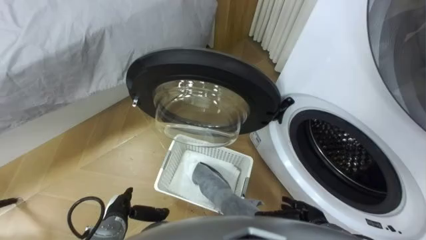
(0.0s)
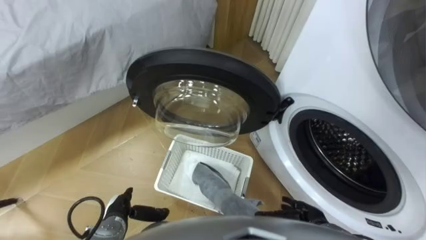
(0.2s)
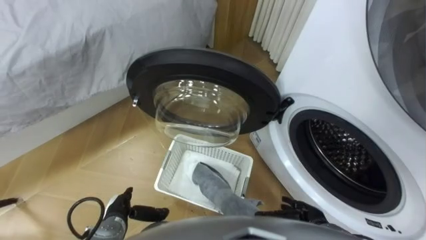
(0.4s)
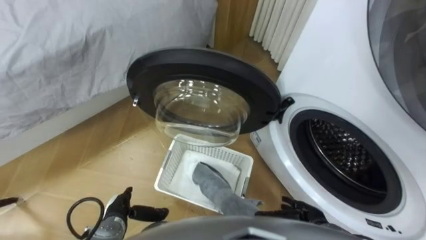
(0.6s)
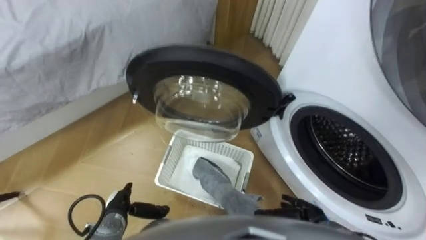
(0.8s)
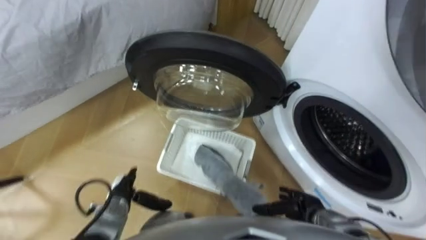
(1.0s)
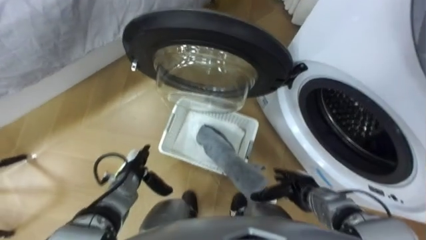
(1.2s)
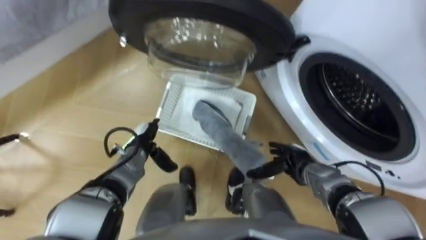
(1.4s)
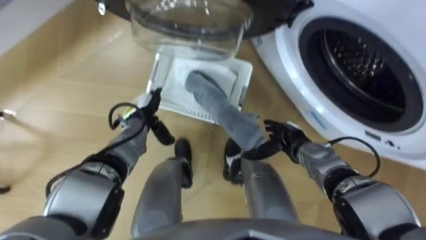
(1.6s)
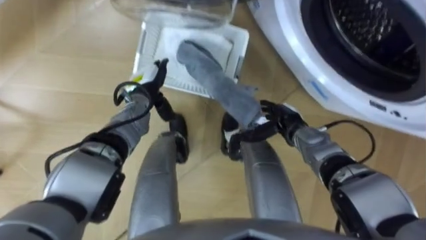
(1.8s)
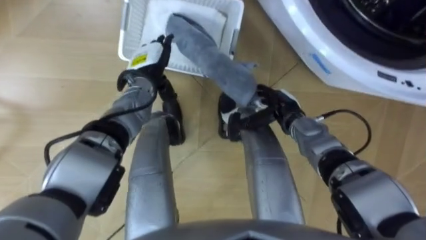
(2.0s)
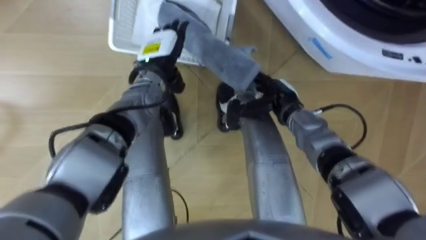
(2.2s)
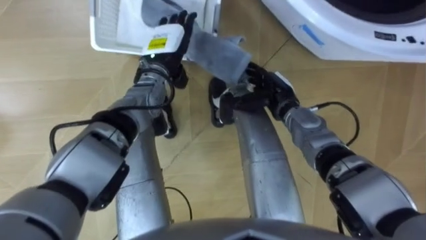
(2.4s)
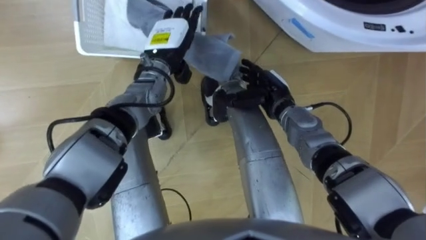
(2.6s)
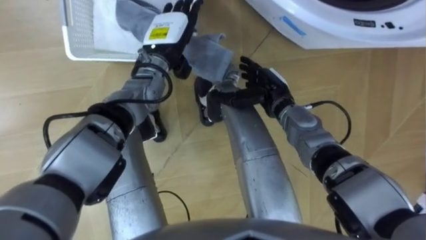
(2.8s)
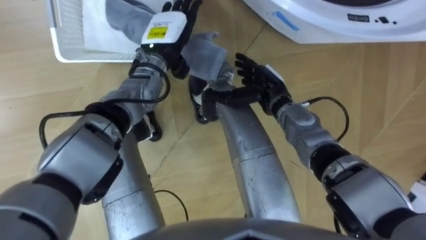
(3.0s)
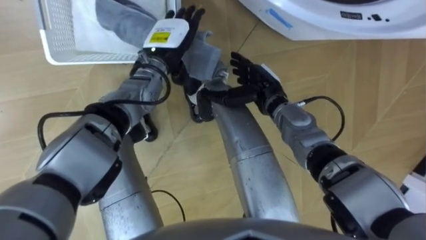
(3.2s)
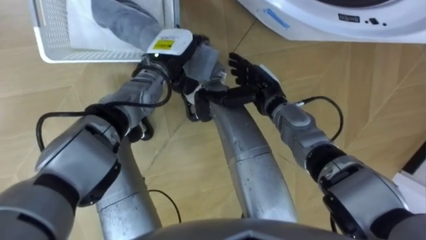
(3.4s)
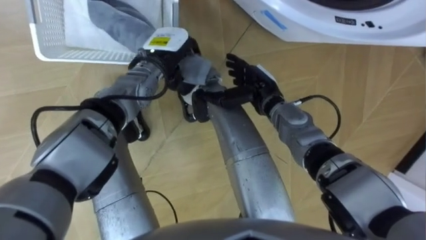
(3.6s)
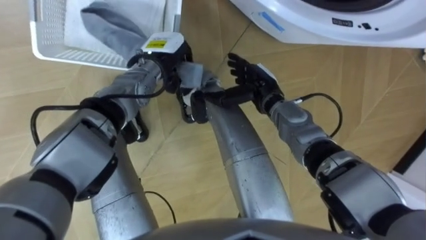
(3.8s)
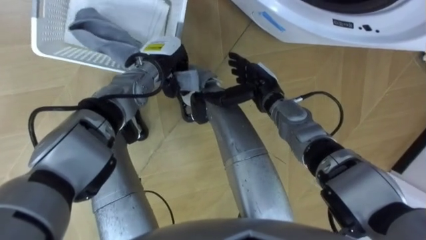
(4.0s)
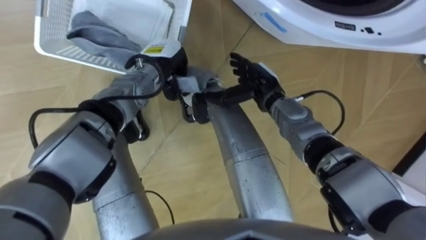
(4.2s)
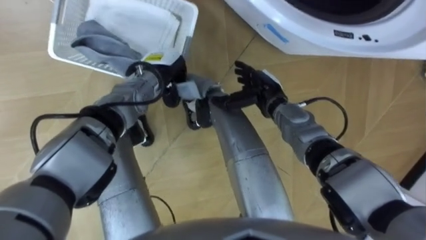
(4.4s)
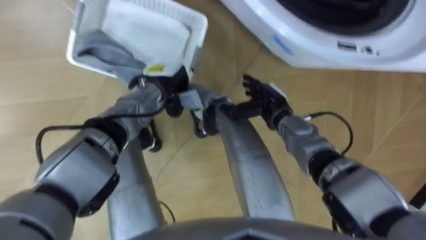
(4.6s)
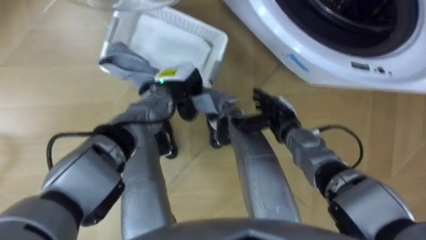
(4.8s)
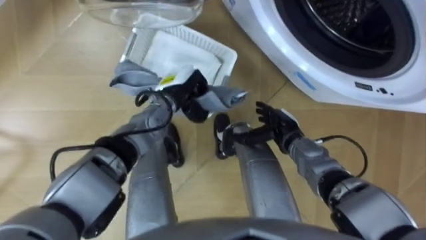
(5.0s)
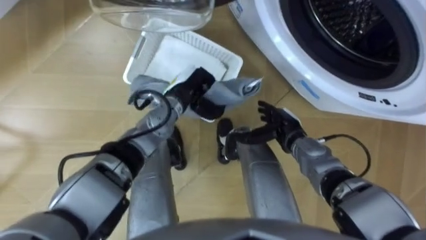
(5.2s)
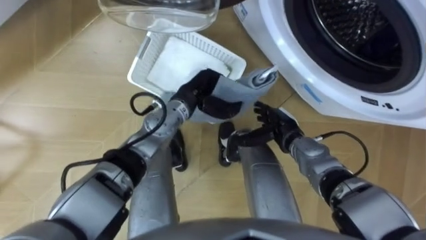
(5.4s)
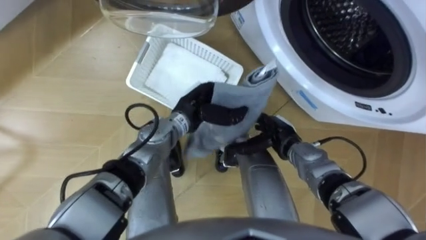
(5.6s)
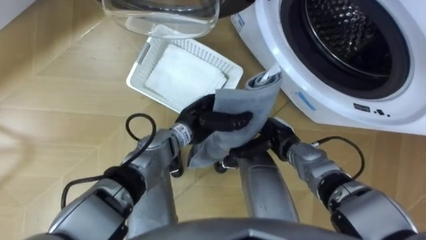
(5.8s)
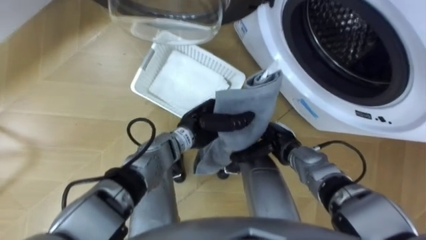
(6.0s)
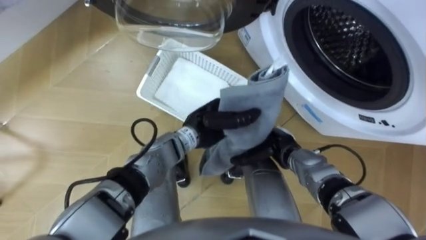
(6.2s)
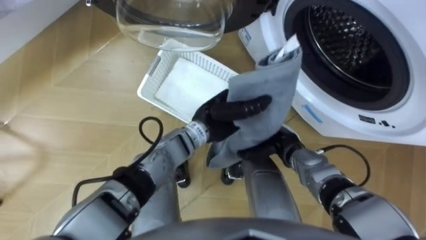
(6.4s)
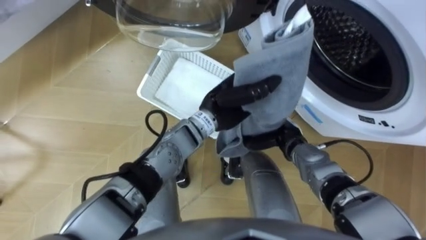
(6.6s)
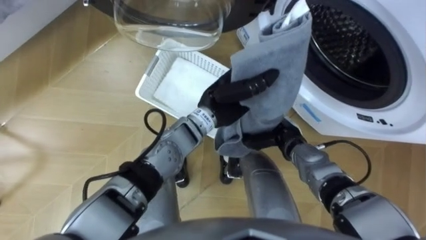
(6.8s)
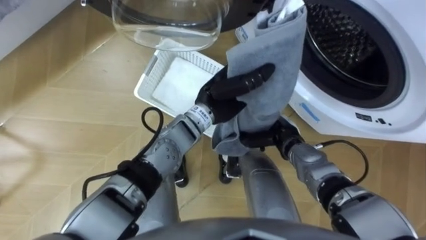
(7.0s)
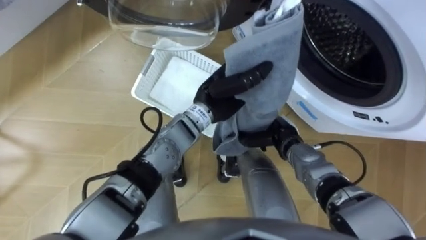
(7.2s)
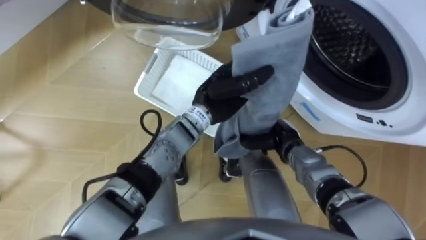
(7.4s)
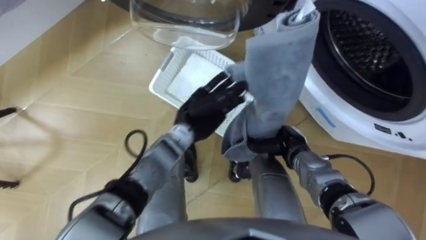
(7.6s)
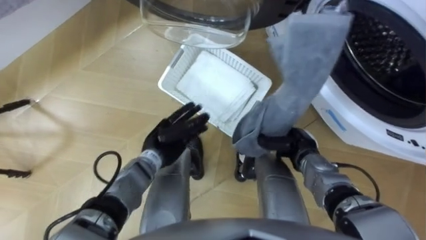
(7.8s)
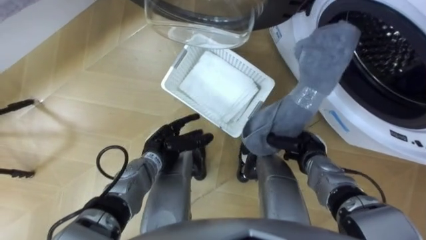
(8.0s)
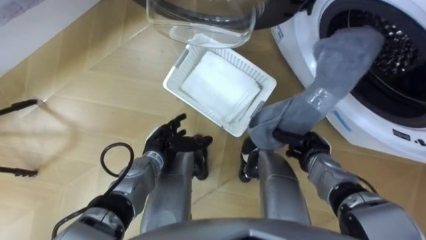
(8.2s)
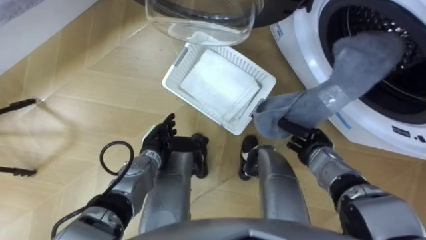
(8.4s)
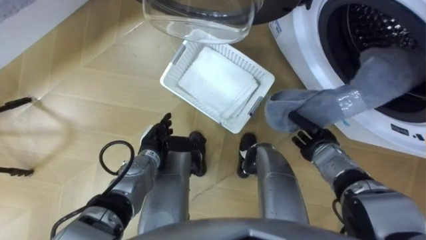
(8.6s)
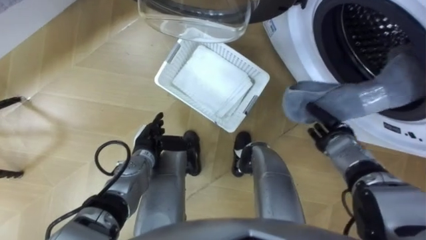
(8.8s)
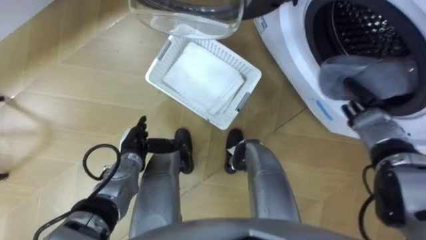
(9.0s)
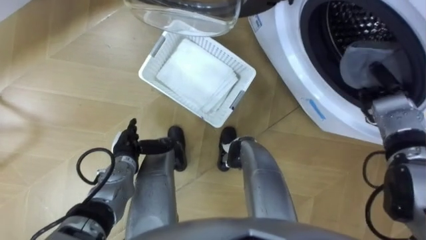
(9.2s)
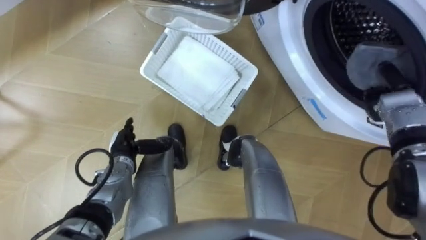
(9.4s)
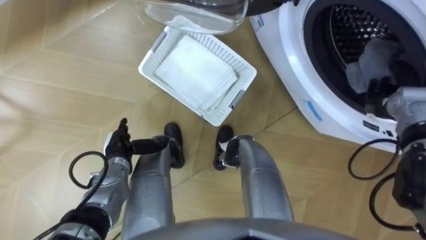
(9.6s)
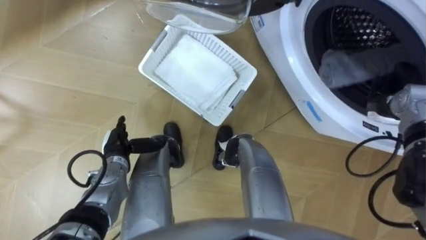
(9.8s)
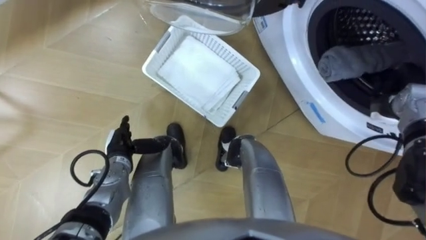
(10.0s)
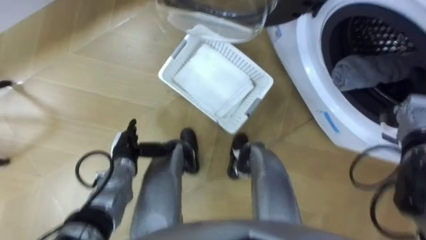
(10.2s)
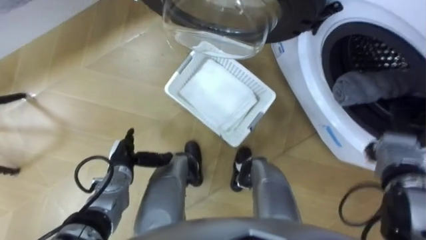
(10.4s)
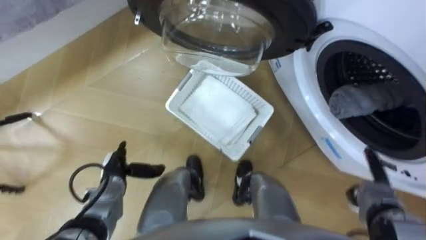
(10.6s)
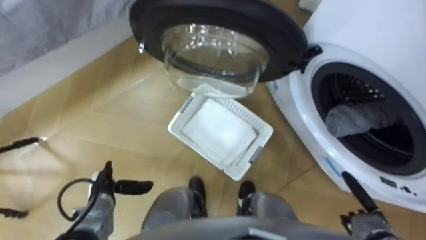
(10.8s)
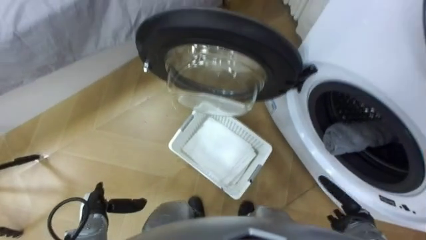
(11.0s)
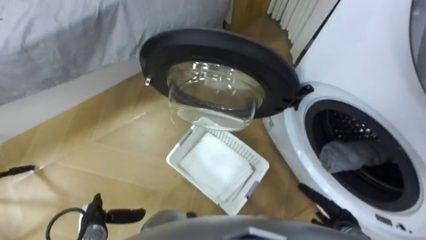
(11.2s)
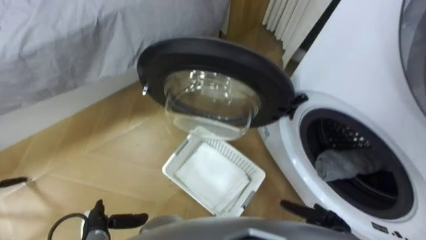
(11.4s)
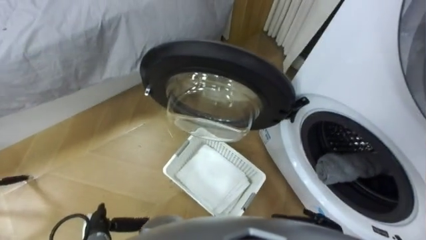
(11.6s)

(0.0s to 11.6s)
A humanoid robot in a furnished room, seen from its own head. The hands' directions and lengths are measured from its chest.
Task of the whole recording: Take the towel from the basket and put it into the washing machine.
1.4s - 2.8s: The right hand moves forward, upward and to the left, roughly 20 cm, while the left hand heads upward, forward and to the right, covering some 25 cm.
2.8s - 4.4s: The left hand goes some 5 cm downward, and closes up.
4.4s - 5.8s: The left hand shifts about 15 cm backward and to the right. The right hand goes approximately 10 cm backward and downward.
5.8s - 7.2s: The left hand heads upward, covering approximately 5 cm. Meanwhile the right hand closes.
7.2s - 8.8s: The right hand shifts some 15 cm to the right. Meanwhile the left hand heads to the left and downward, covering roughly 20 cm, and opens its fingers.
8.8s - 10.2s: The left hand is displaced to the left by about 5 cm, while the right hand heads to the right and upward, covering some 15 cm, and opens up.
10.2s - 11.6s: The left hand shifts approximately 15 cm backward, while the right hand heads backward, downward and to the left, covering approximately 30 cm.

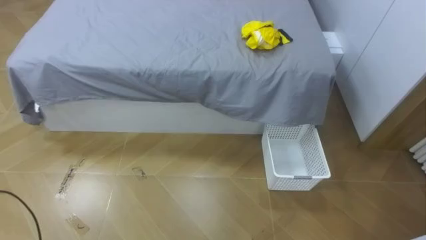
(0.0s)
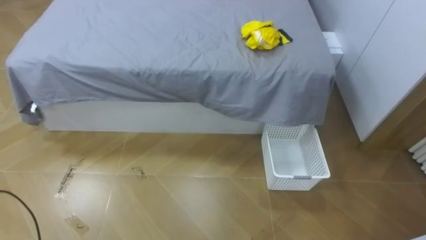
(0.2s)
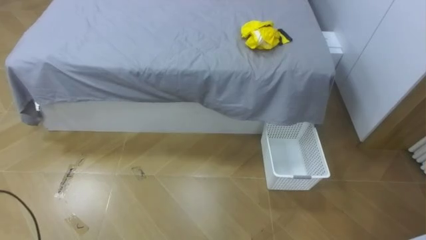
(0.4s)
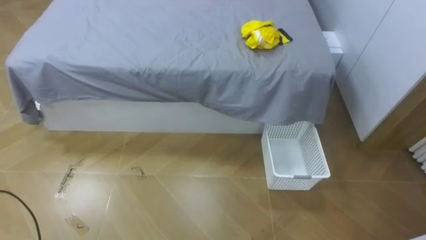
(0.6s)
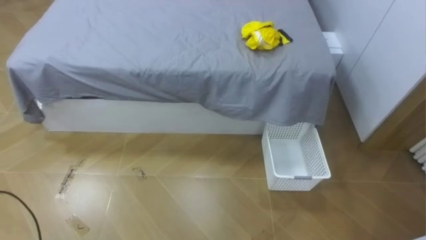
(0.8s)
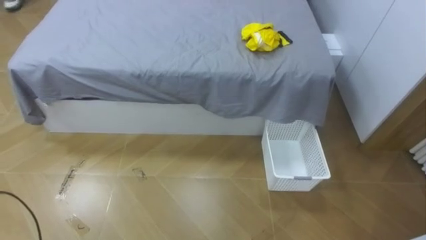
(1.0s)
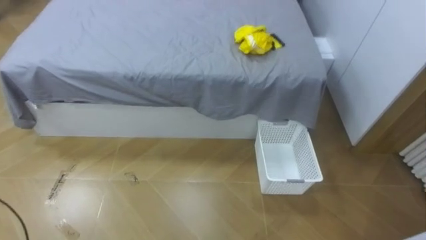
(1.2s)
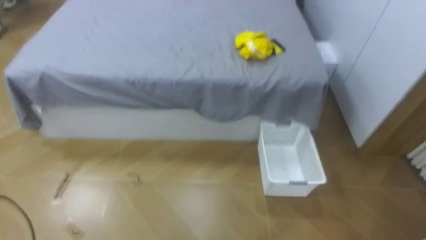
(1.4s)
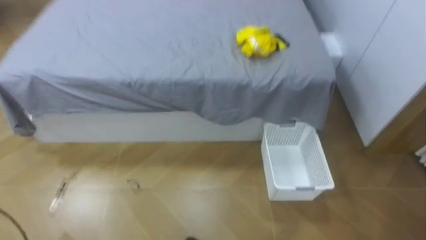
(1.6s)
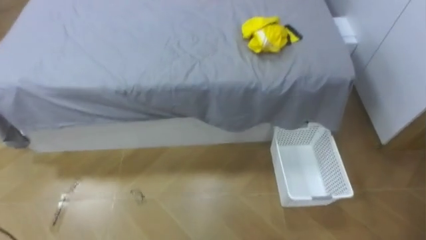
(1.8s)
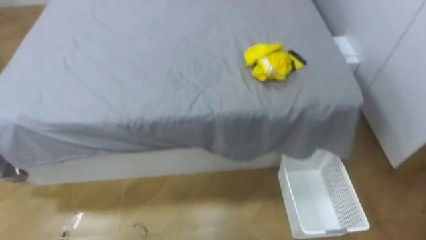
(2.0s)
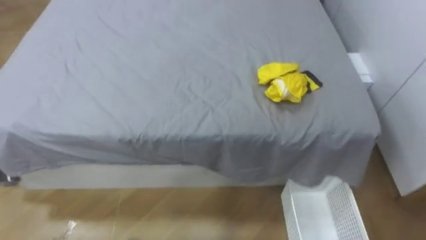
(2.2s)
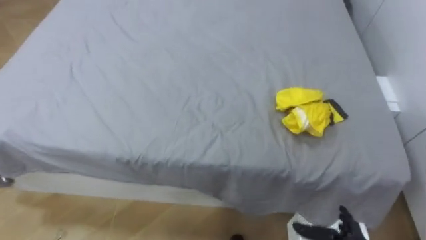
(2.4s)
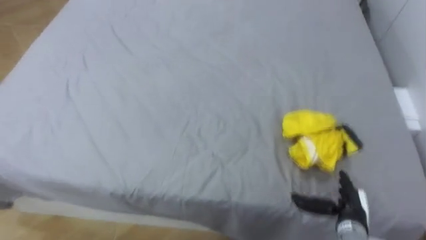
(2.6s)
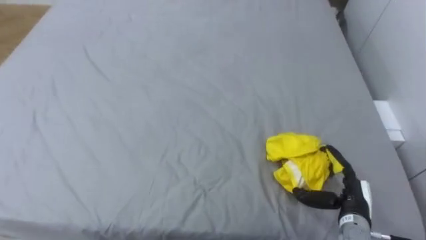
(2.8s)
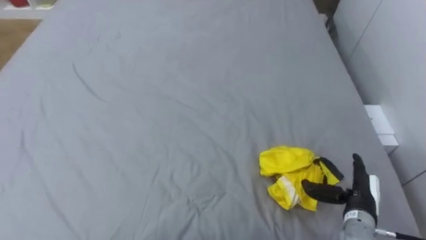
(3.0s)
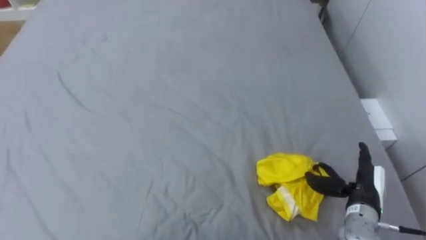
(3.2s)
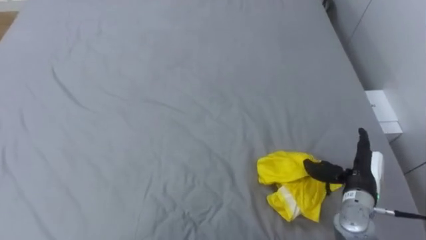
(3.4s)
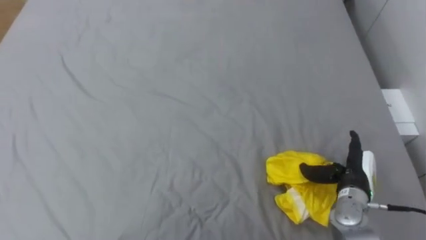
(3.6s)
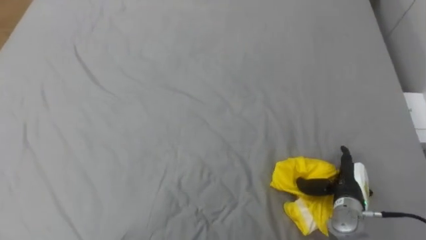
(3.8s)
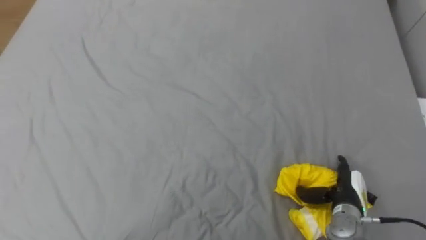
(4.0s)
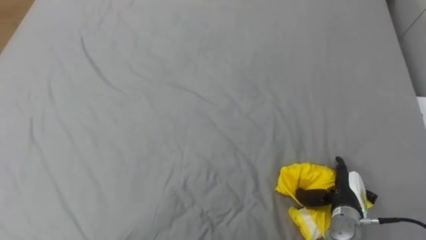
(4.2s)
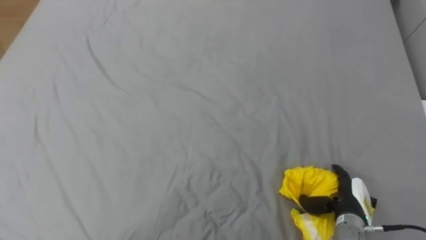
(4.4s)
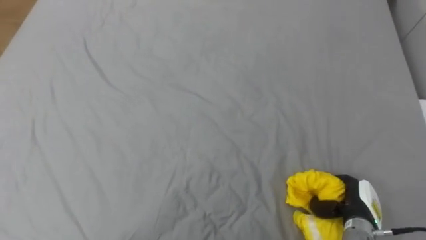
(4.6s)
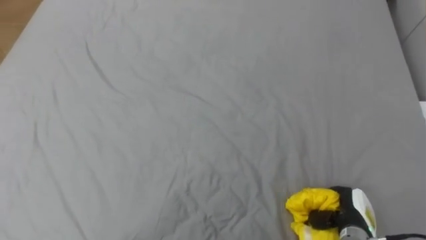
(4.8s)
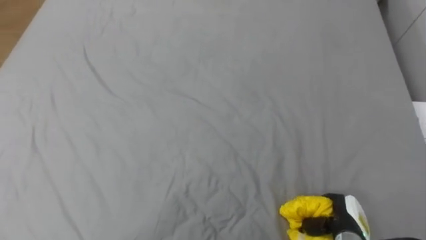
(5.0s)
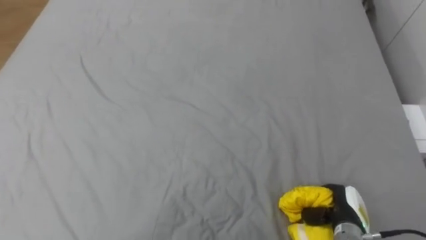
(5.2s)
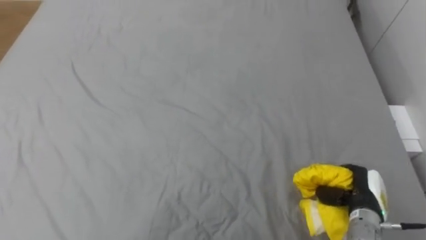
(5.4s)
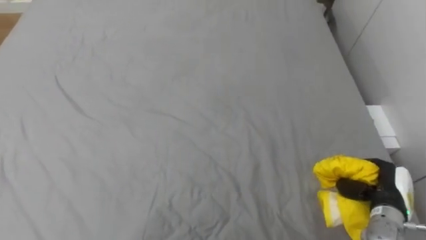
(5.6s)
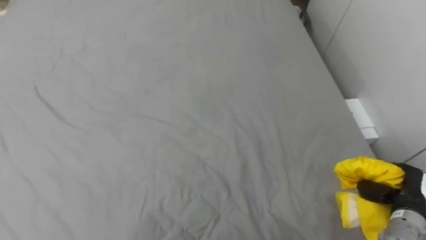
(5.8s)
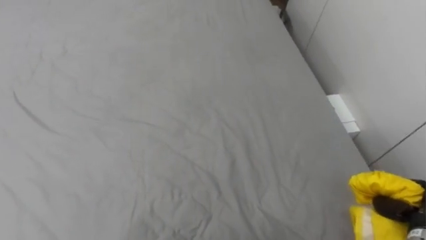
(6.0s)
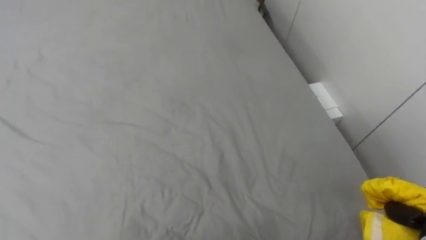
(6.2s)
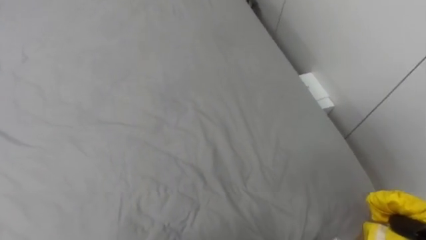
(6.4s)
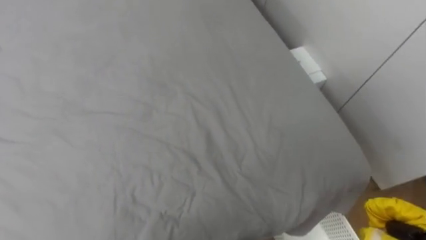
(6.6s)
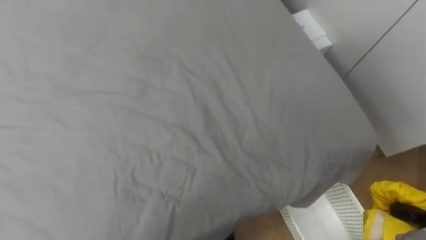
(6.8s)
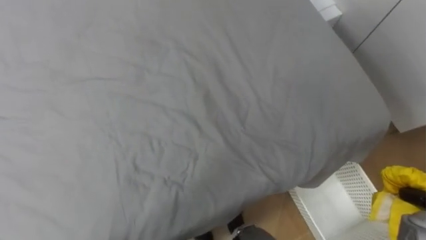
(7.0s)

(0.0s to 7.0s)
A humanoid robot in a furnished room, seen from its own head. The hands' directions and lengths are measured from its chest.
Task of the whole recording: Pick up the yellow clothes on the bed and place them into the white basket on the right.
4.2s - 5.6s: The right hand is displaced to the right by roughly 5 cm, and closes its fingers.
5.6s - 7.0s: The robot faces about 15 degrees further to its right.
